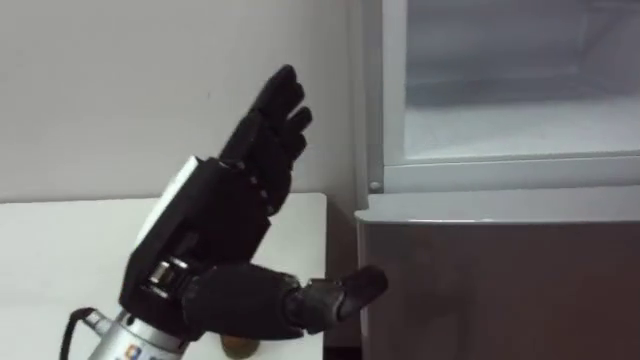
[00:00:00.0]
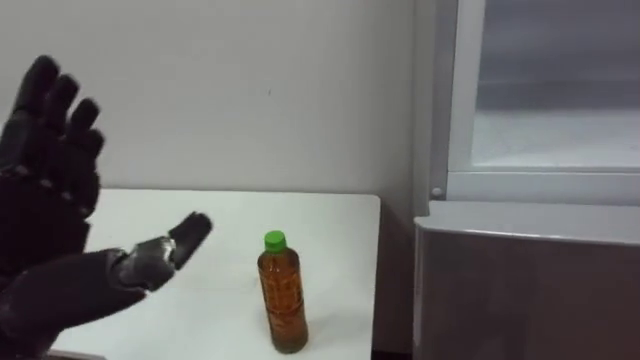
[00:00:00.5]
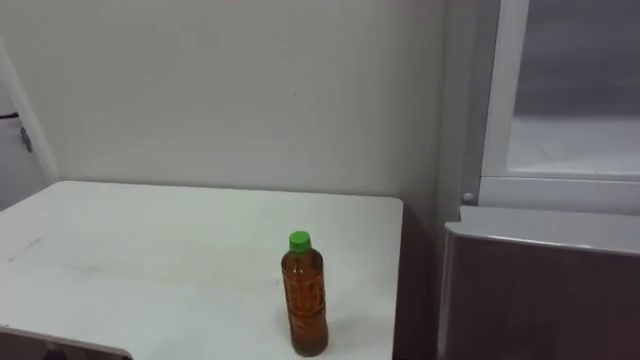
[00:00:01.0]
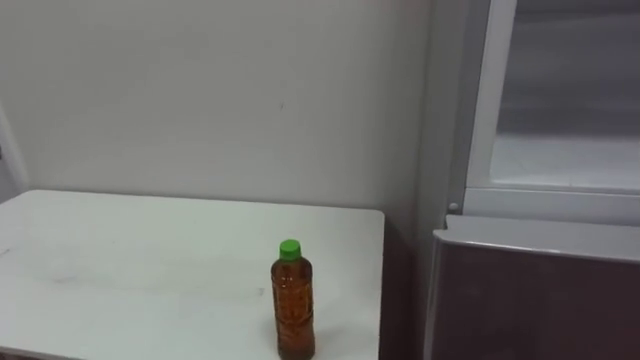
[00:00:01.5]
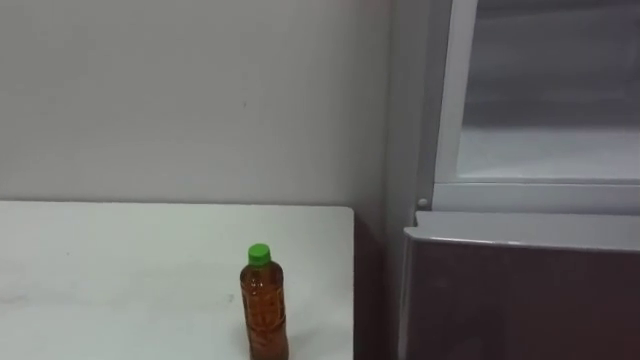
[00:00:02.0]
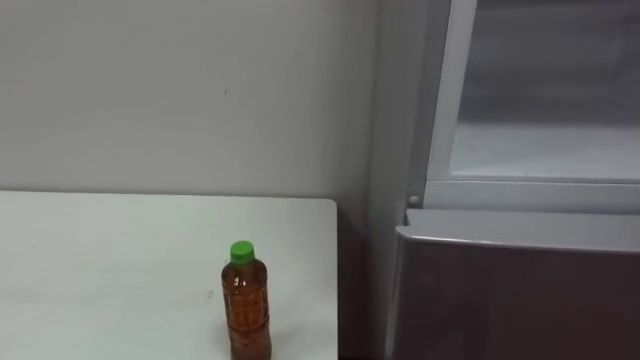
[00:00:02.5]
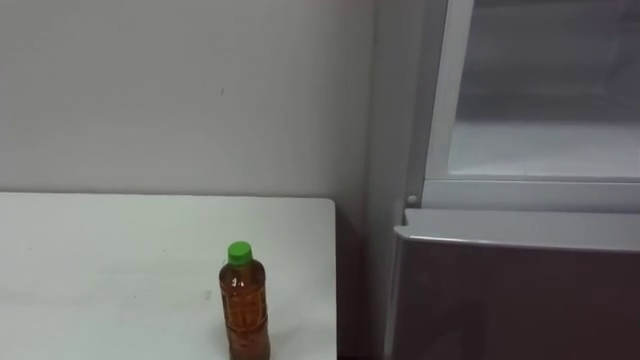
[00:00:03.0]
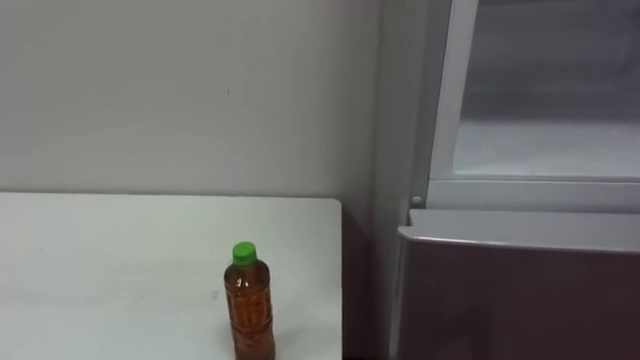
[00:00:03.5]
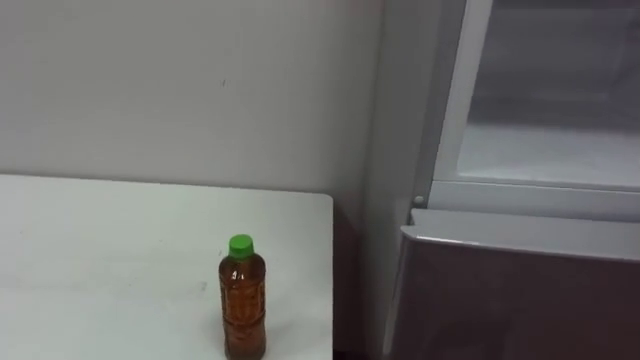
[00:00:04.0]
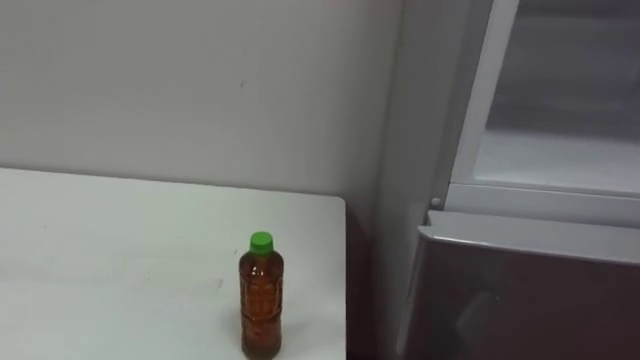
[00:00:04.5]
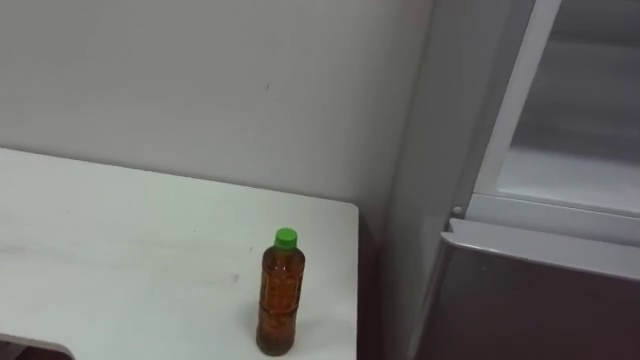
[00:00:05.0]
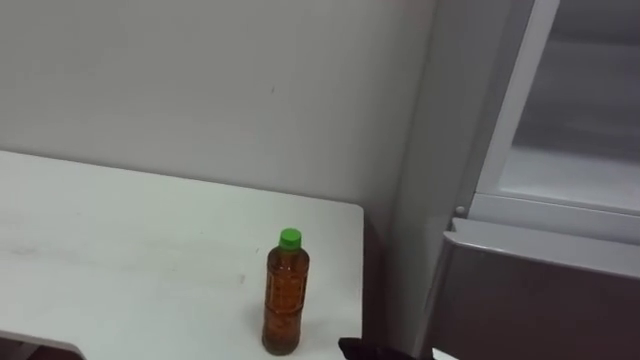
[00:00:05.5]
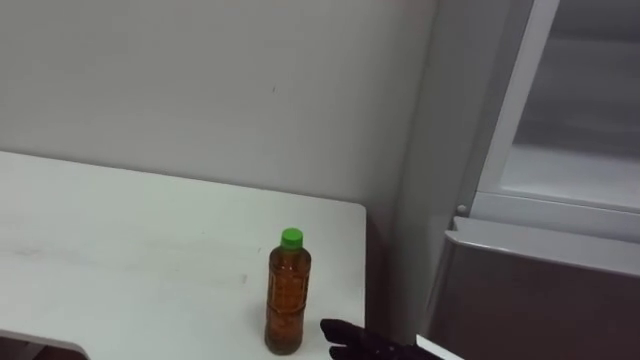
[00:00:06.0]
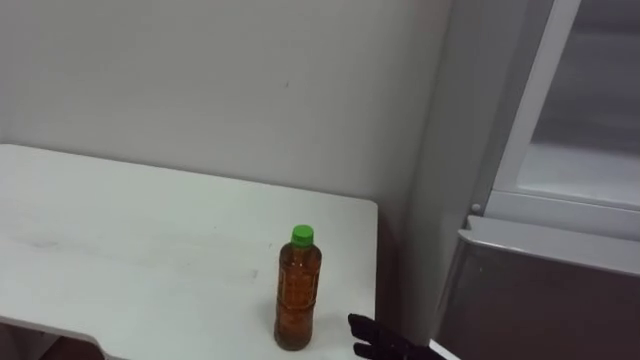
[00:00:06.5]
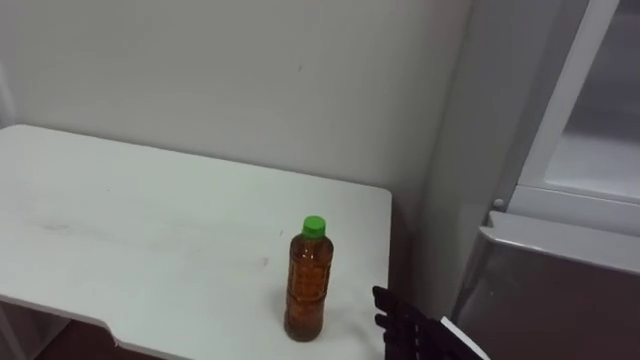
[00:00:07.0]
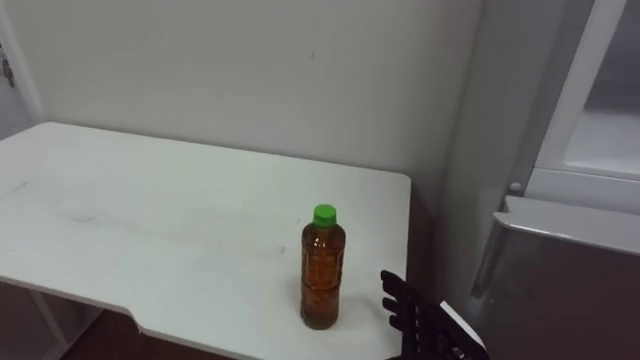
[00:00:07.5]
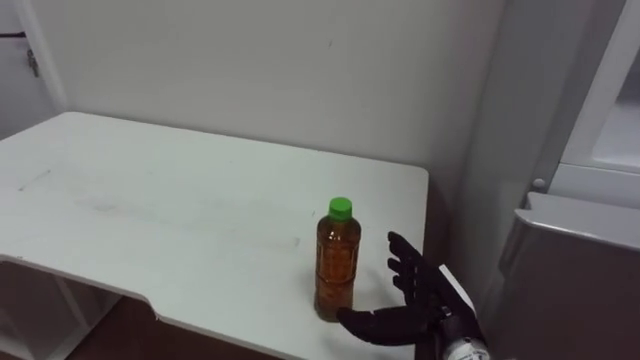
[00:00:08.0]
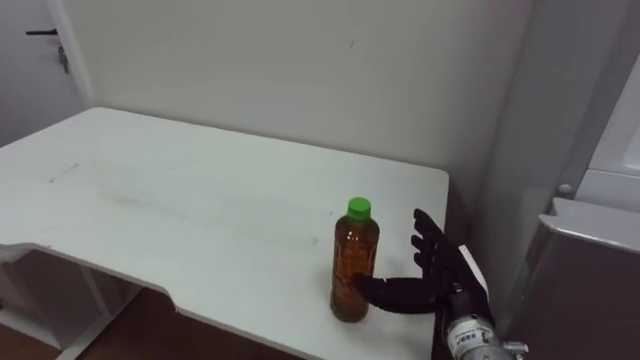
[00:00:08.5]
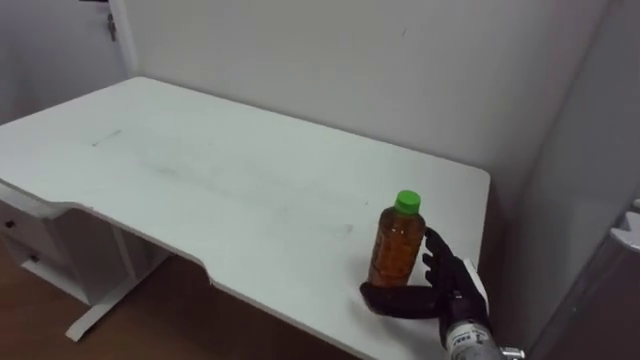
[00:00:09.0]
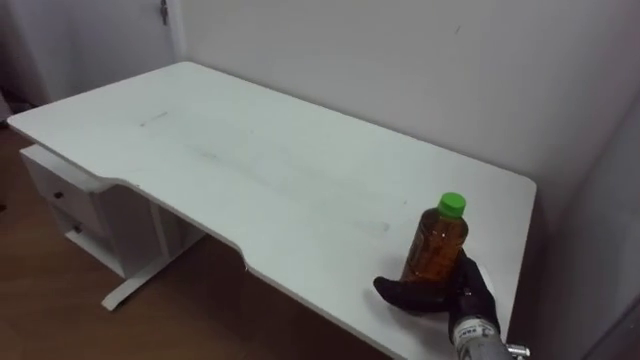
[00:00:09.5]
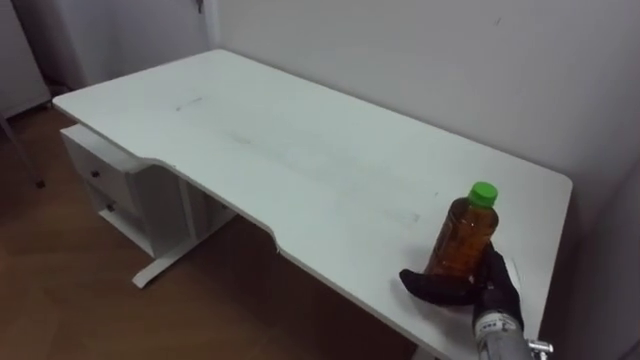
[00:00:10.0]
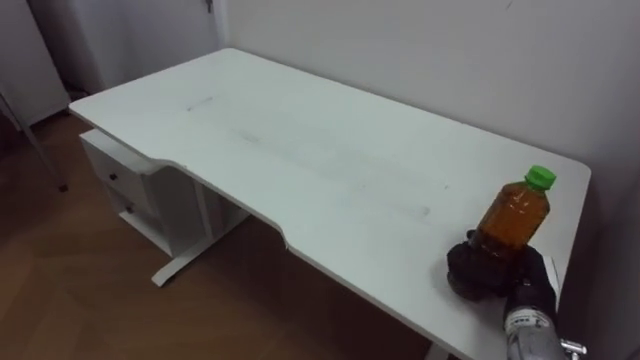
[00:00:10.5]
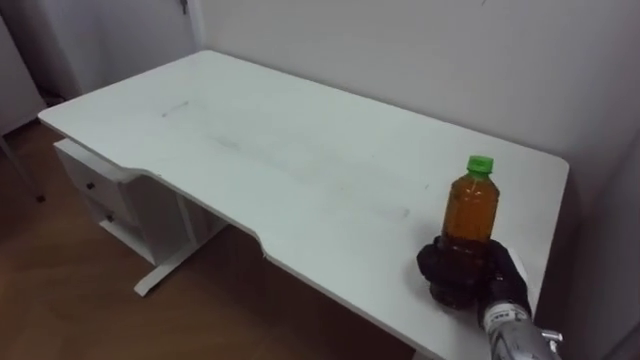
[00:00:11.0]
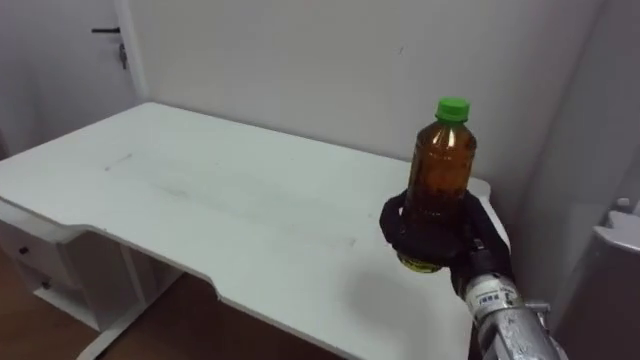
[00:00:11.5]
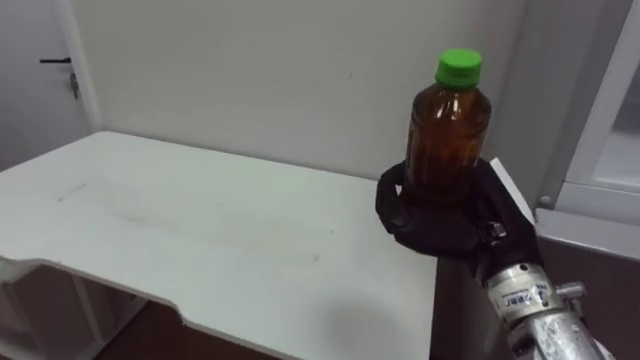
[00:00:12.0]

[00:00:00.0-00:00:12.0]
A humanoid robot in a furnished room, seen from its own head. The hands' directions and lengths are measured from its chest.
Task of the whole recording: Open the upper refrigerator door, put the drink from the table into the refrigerator, and then close the refrigerator door.
00:00:08.0 to 00:00:10.0: The right hand travels to the right by some 5 cm.
00:00:10.0 to 00:00:12.0: The right hand shifts some 15 cm upward, and closes.

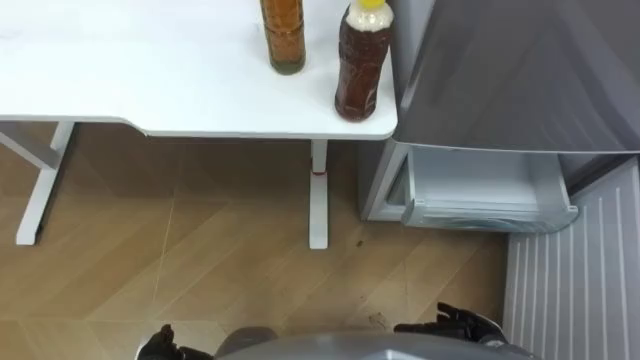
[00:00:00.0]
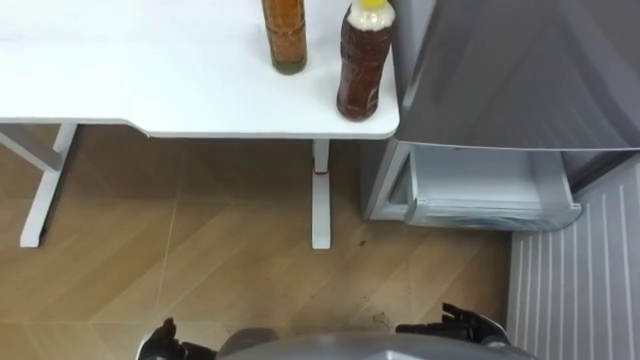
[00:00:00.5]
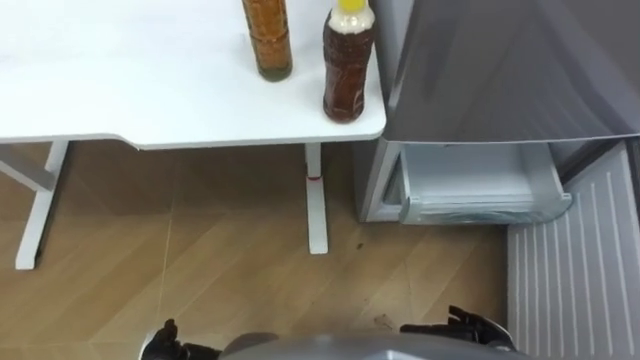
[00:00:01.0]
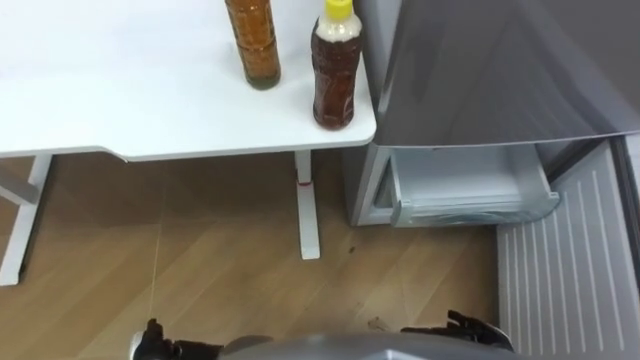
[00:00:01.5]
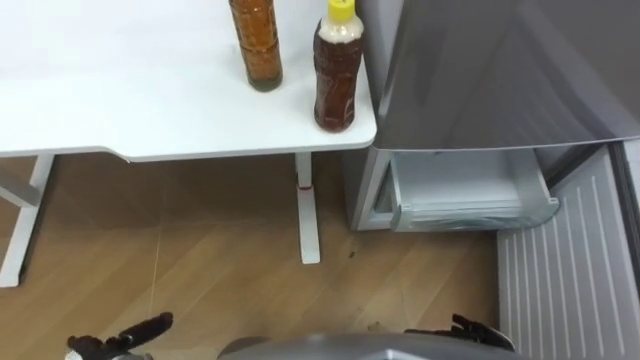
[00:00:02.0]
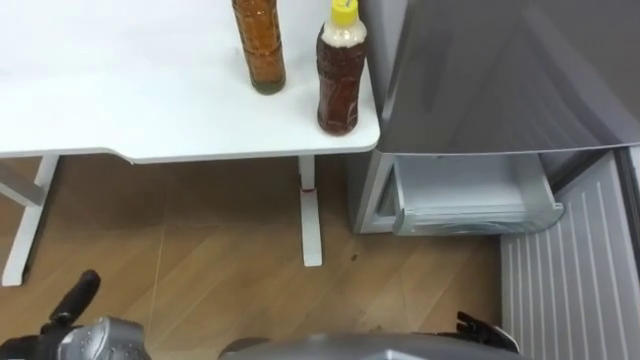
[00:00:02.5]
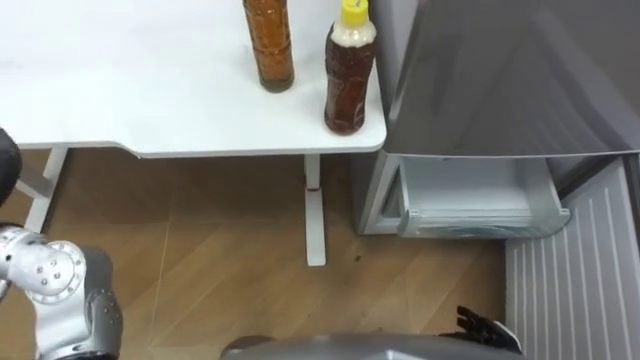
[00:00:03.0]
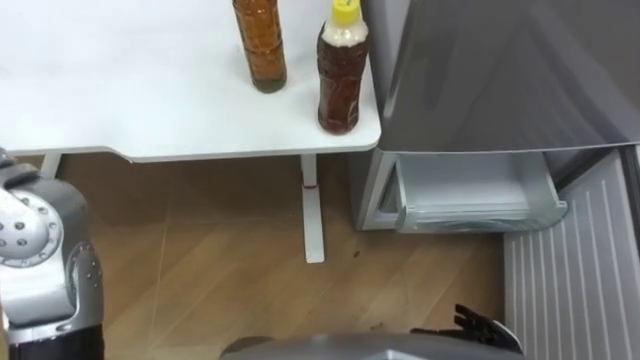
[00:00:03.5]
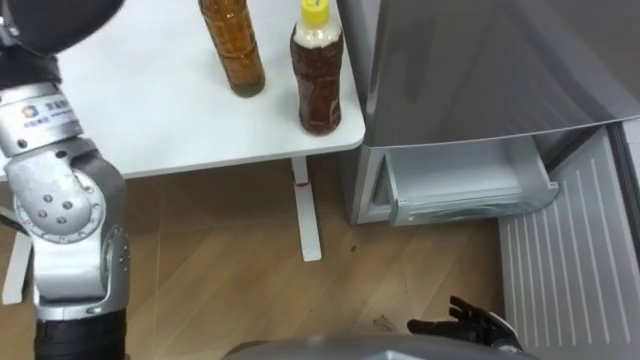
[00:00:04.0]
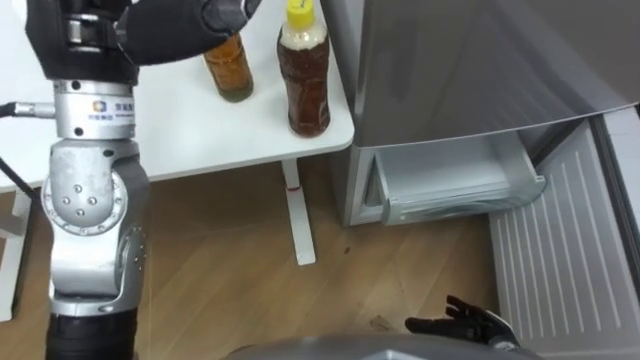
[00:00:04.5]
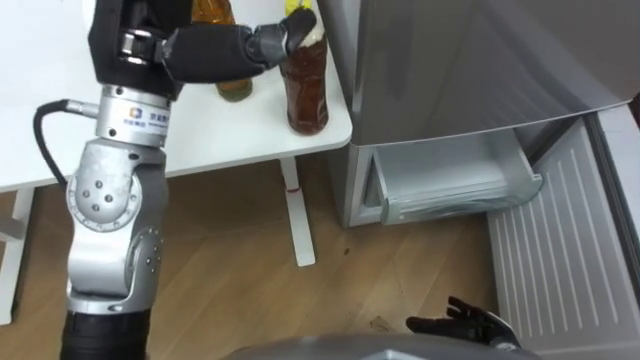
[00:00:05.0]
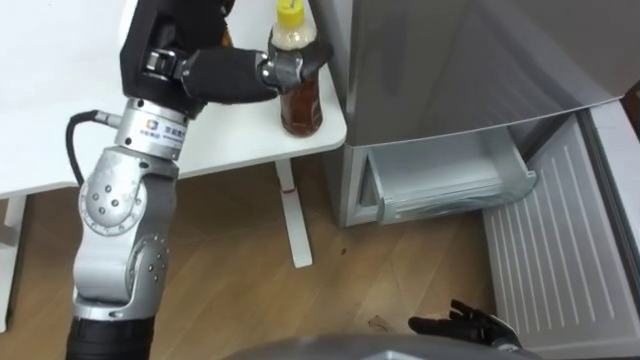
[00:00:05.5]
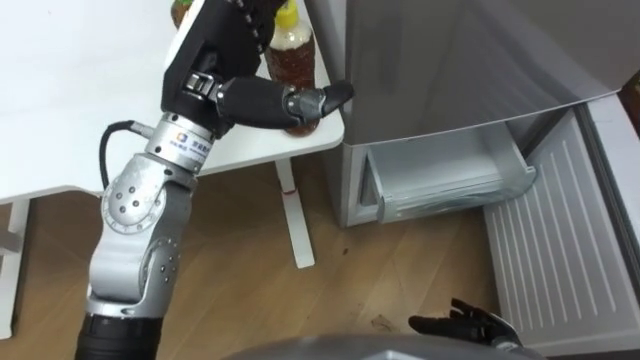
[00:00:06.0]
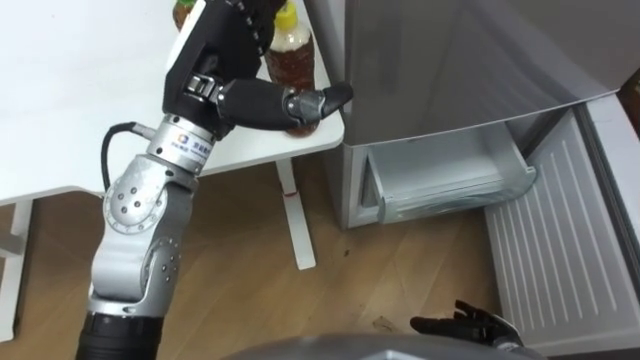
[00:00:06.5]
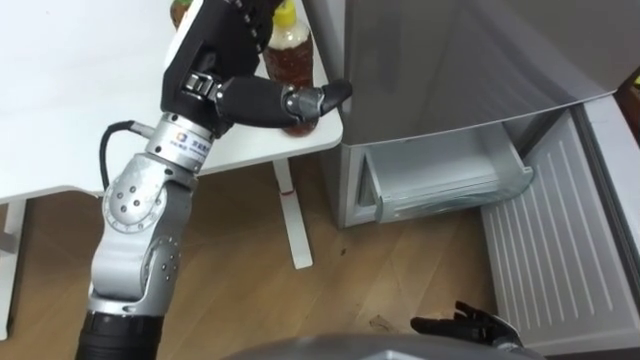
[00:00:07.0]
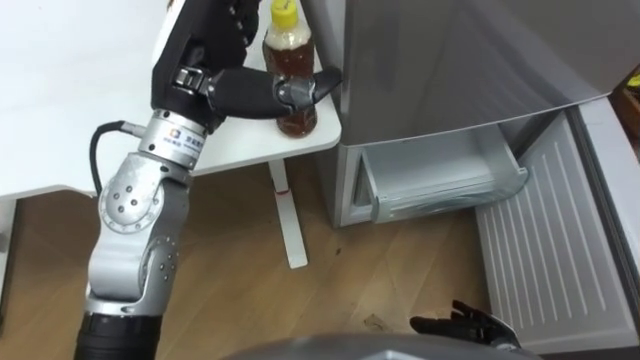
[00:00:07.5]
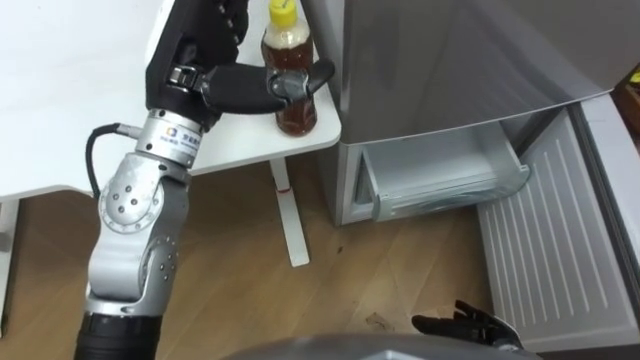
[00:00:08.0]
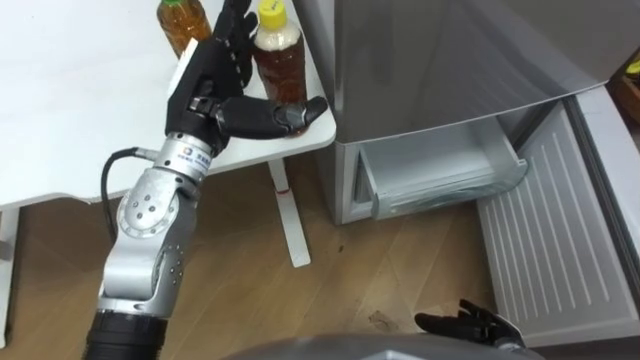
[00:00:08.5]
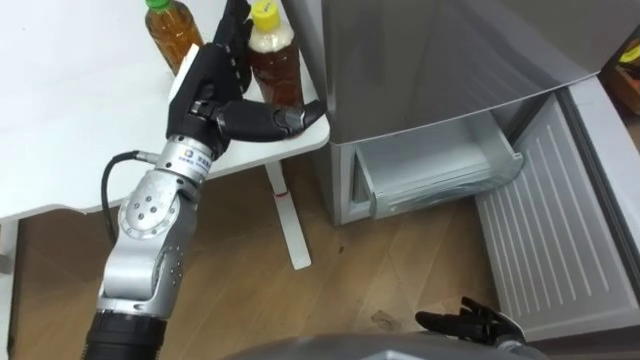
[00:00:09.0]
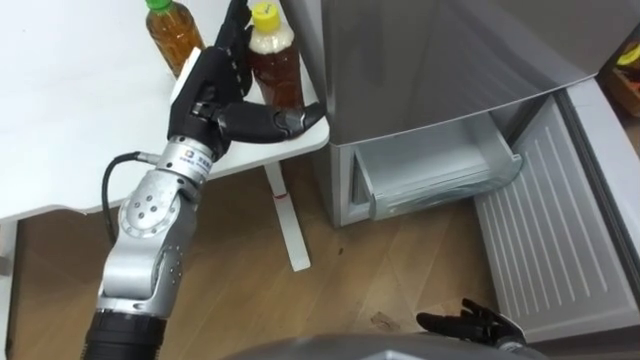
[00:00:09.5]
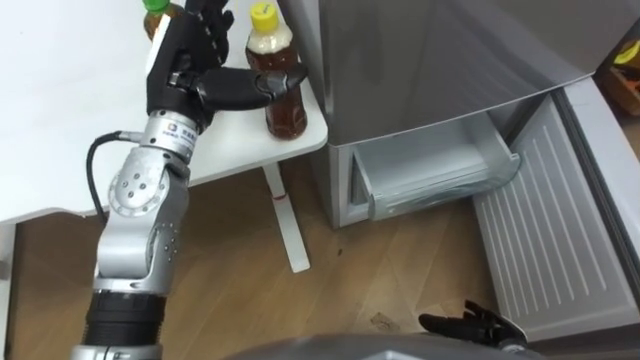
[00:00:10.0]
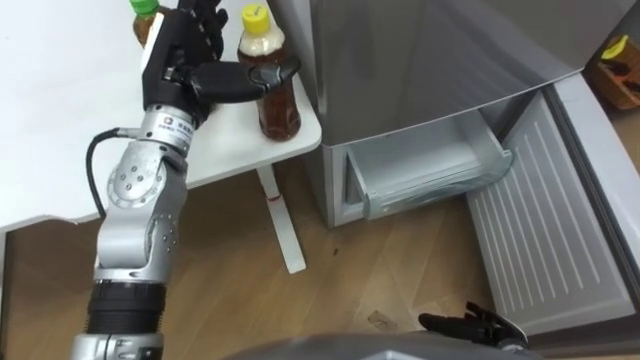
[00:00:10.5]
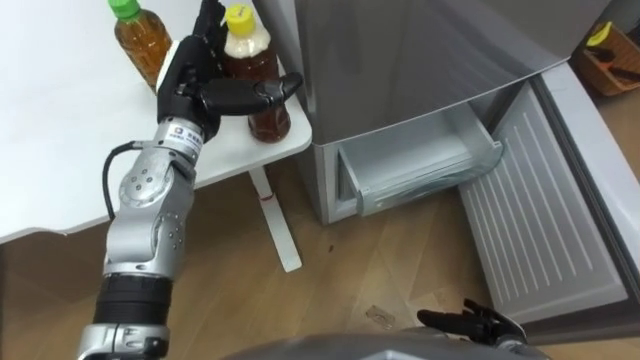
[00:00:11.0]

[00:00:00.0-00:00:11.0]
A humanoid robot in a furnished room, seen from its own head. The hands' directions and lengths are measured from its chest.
Task of the whole recording: Place the drink on the table on the bottom shelf of the refrigerator, then close the drawer and the refrigerator door.
00:00:07.5 to 00:00:09.0: The left hand goes about 5 cm downward.
